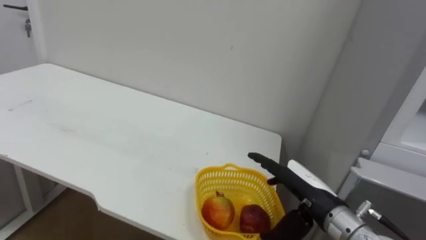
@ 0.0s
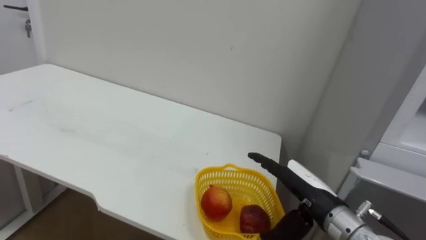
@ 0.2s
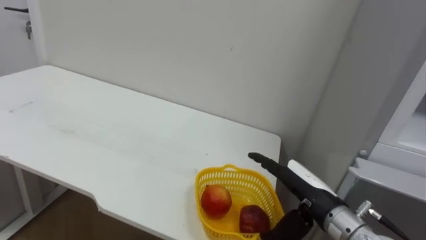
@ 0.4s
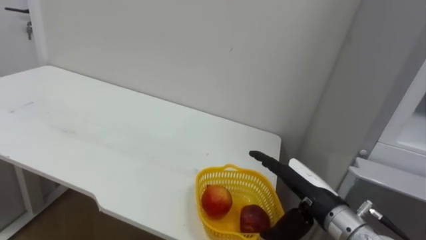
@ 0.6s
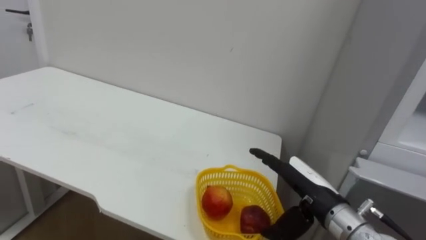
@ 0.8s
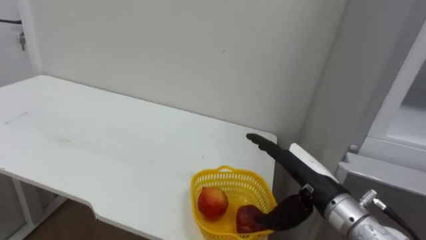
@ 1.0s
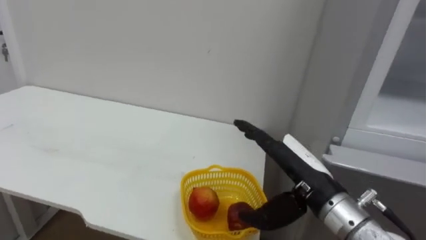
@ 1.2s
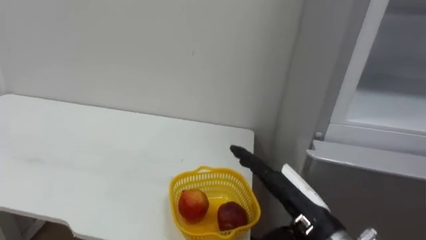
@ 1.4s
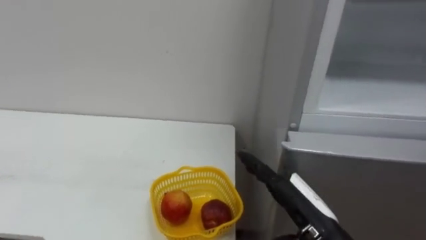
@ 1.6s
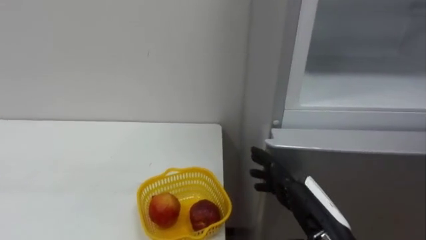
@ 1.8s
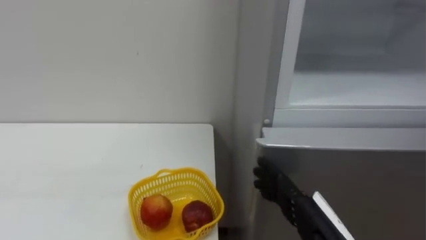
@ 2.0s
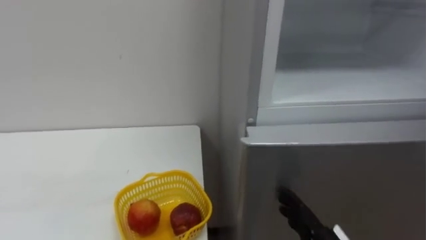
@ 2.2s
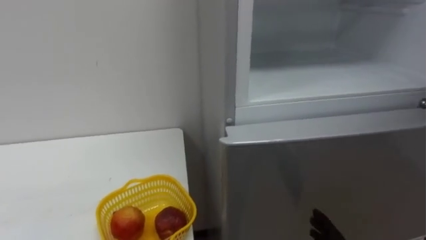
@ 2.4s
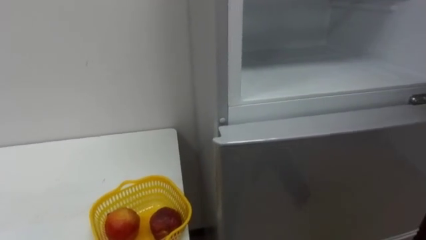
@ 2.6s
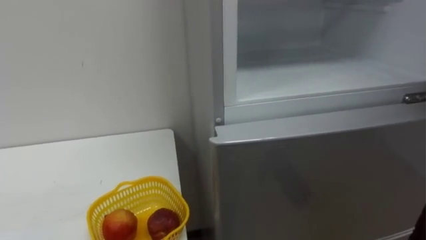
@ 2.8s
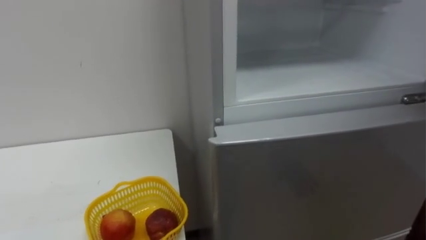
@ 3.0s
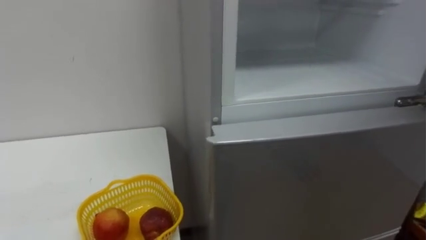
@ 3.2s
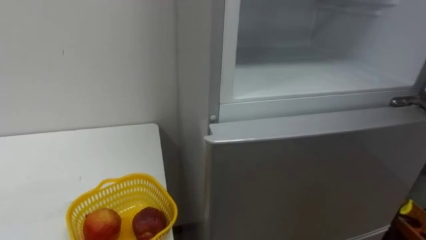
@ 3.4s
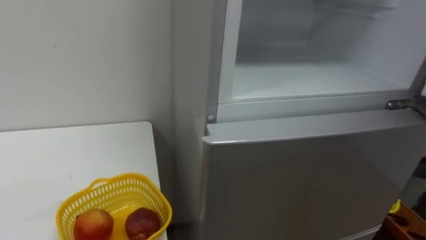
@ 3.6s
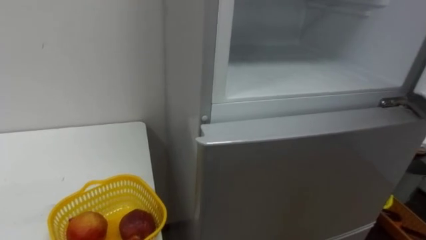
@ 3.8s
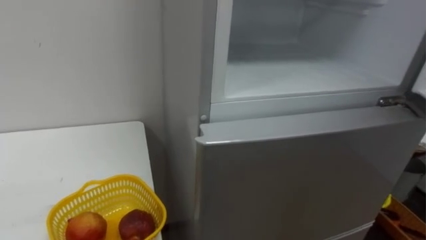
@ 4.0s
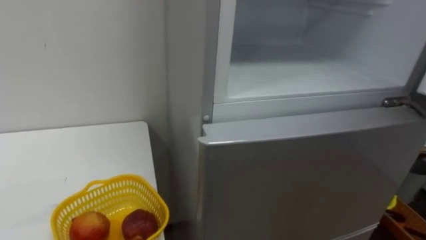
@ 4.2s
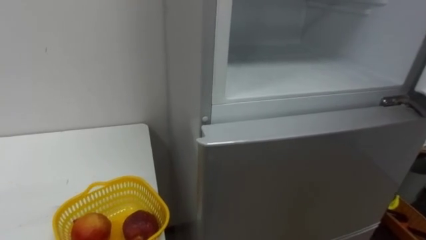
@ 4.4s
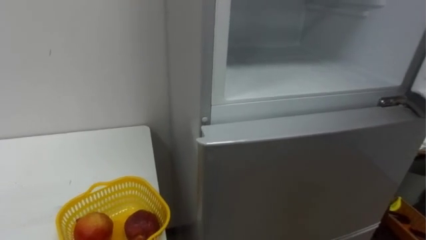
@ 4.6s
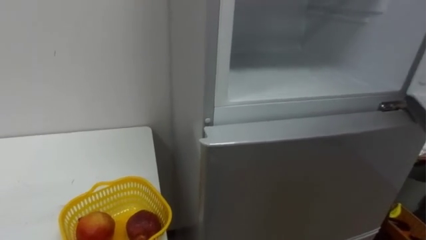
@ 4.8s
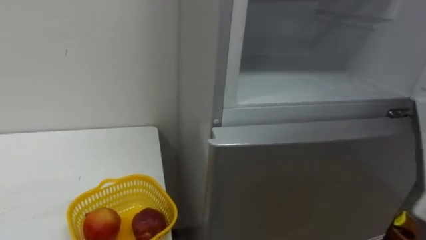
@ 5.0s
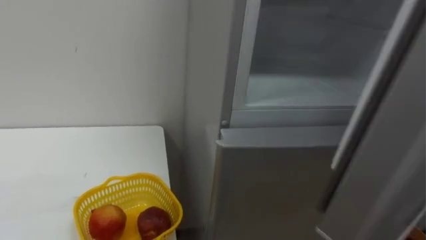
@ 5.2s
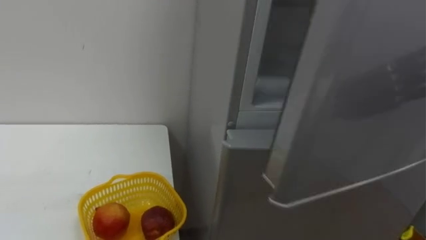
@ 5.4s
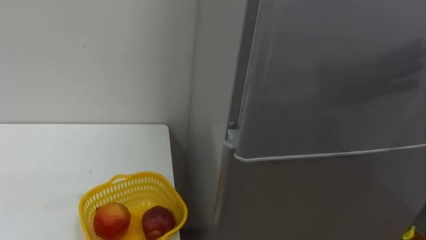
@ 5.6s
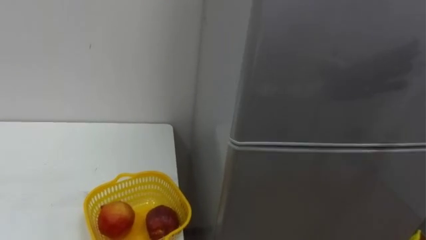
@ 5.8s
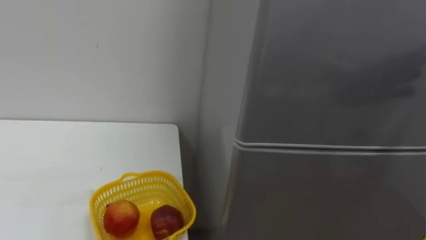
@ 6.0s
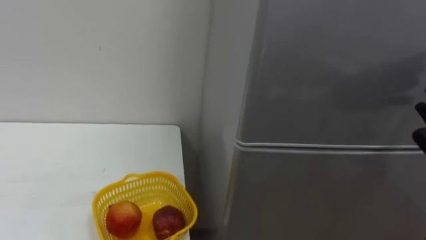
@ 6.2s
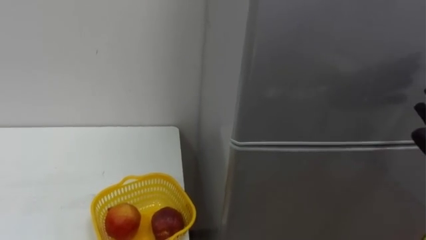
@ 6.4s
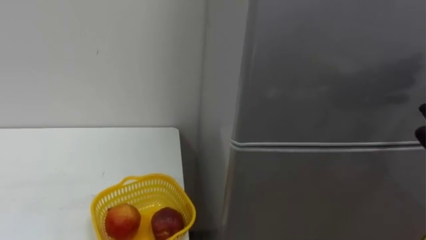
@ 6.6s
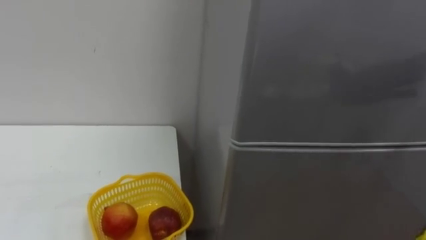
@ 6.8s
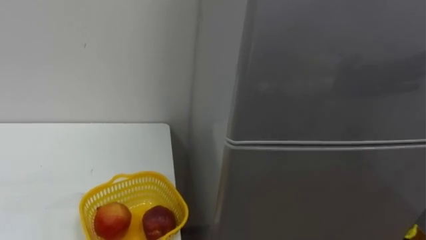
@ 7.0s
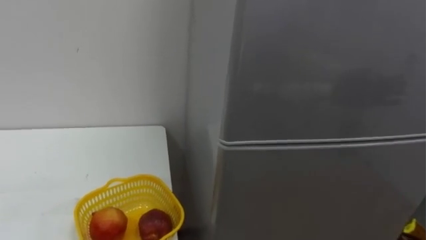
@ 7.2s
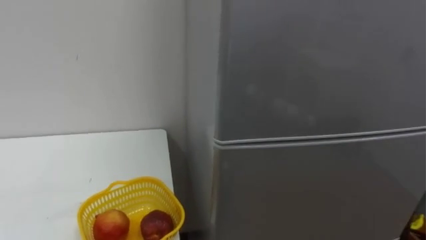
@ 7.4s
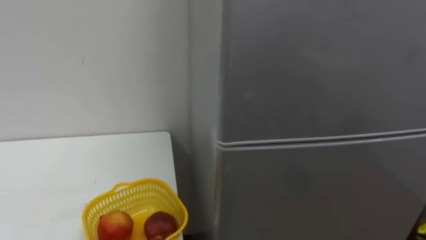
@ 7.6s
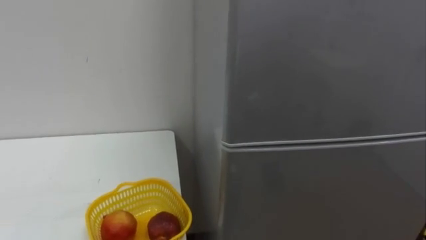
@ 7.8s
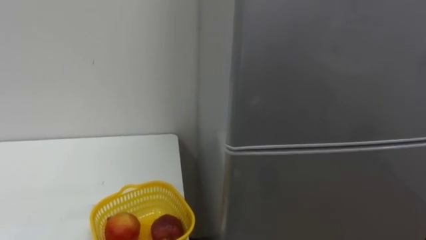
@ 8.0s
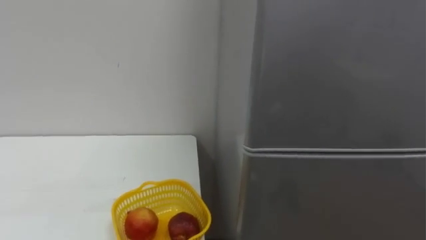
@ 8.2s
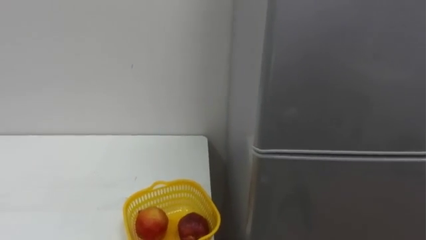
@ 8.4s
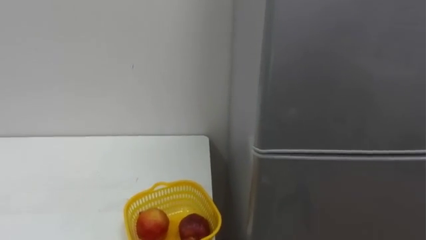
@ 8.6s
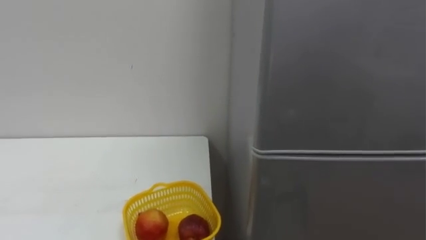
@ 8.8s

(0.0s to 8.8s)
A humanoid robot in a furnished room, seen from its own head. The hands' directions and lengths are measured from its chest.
Task of the whole recording: Open the refrigerator door, take out the apple and the pomegranate, place them in the fruit basket on the left, and close the refrigerator door.
0.0s - 1.4s: The right hand changes place by roughly 5 cm.

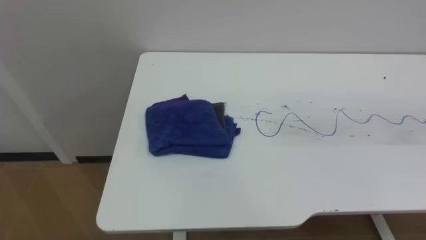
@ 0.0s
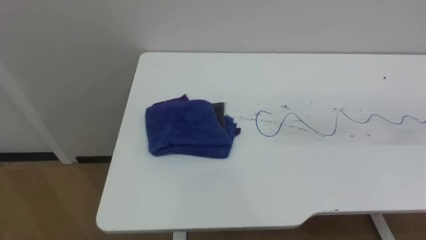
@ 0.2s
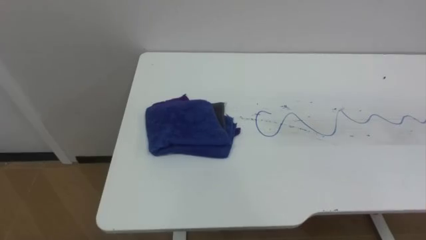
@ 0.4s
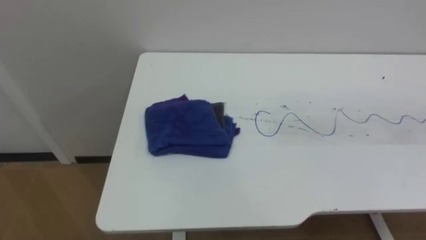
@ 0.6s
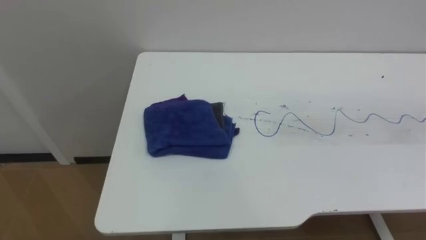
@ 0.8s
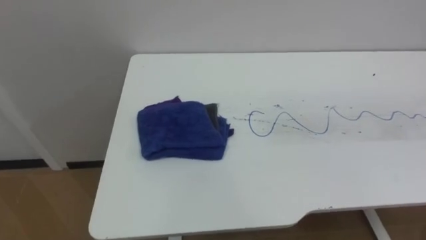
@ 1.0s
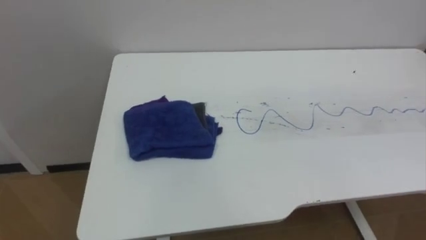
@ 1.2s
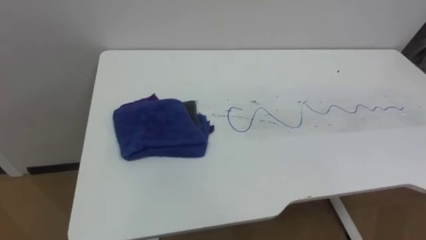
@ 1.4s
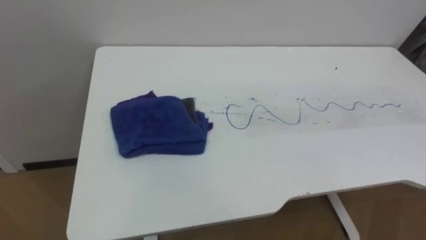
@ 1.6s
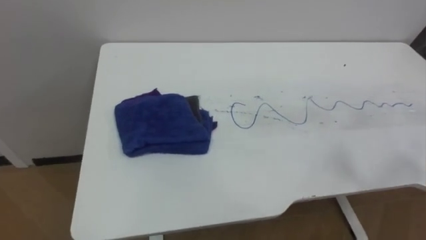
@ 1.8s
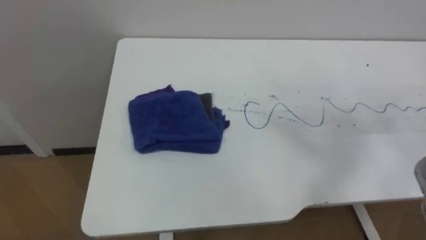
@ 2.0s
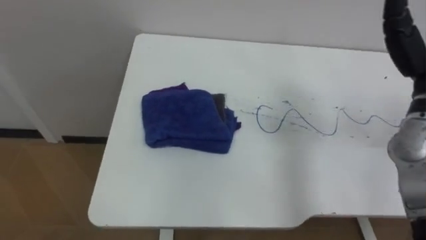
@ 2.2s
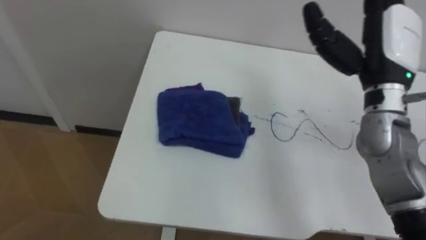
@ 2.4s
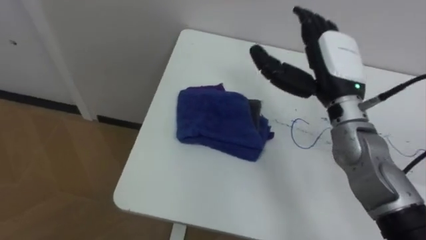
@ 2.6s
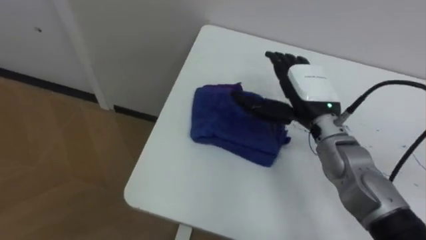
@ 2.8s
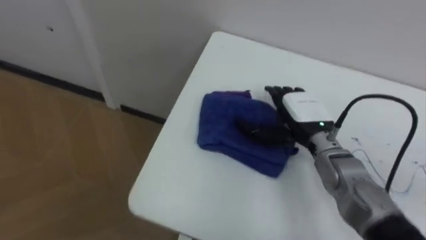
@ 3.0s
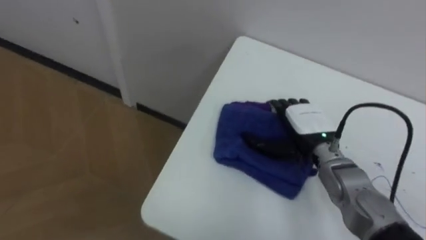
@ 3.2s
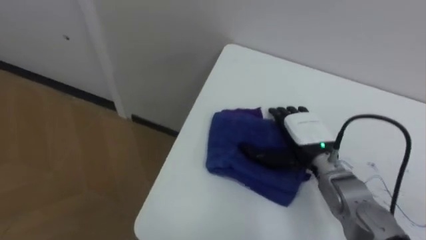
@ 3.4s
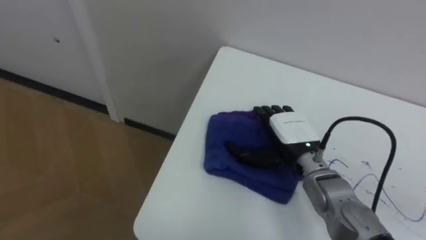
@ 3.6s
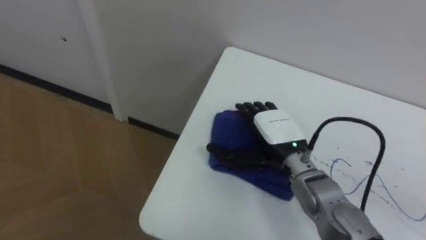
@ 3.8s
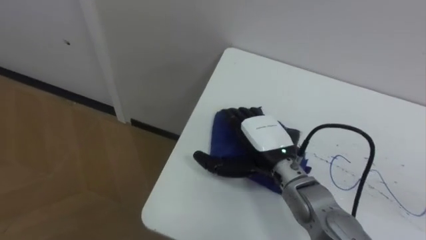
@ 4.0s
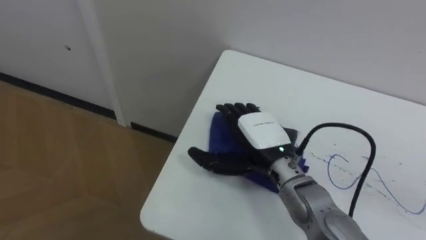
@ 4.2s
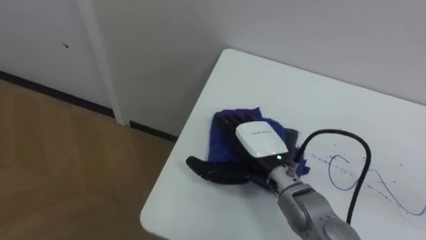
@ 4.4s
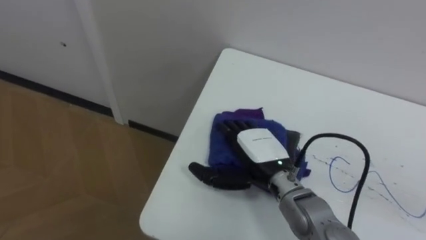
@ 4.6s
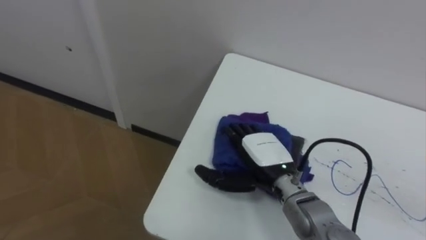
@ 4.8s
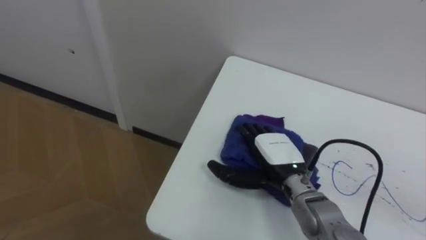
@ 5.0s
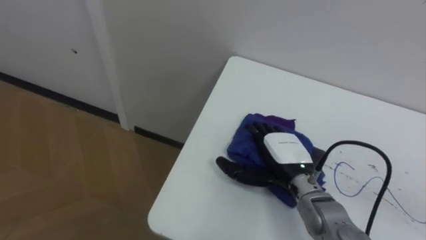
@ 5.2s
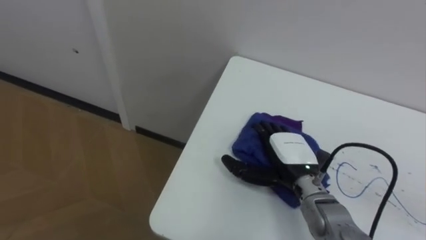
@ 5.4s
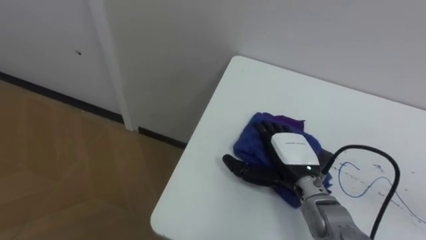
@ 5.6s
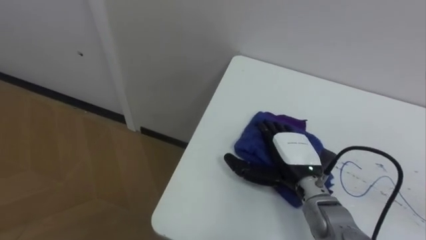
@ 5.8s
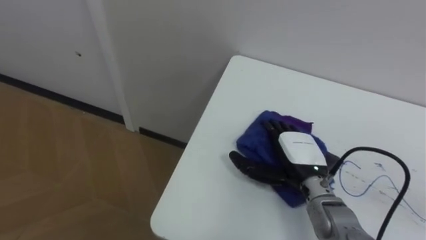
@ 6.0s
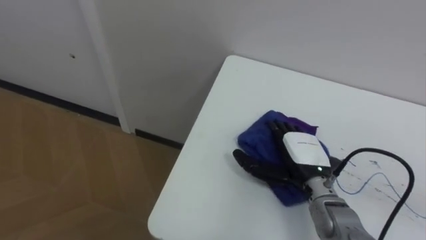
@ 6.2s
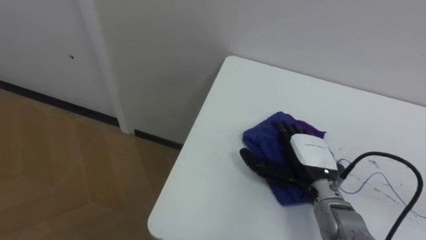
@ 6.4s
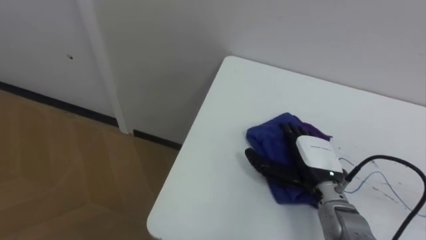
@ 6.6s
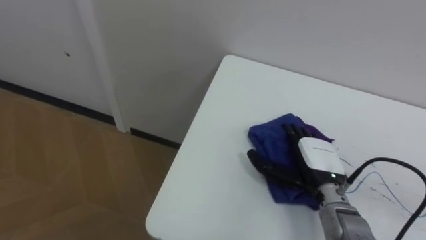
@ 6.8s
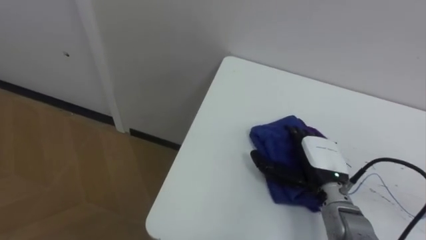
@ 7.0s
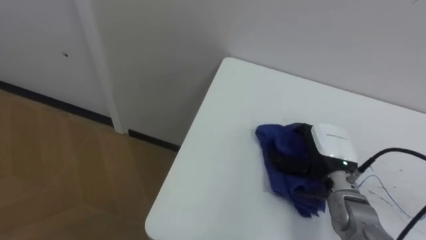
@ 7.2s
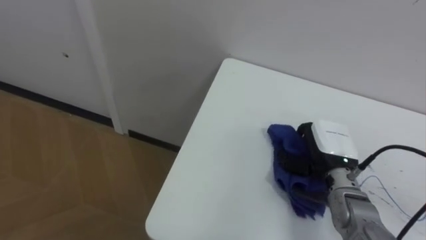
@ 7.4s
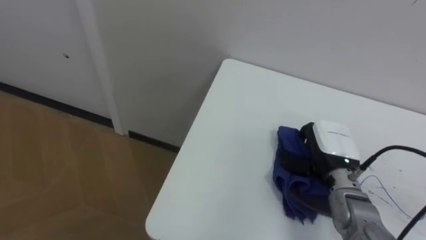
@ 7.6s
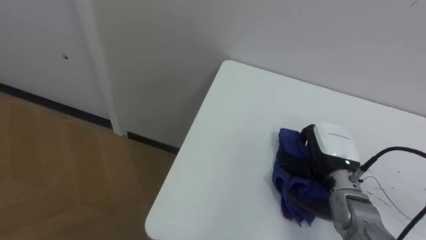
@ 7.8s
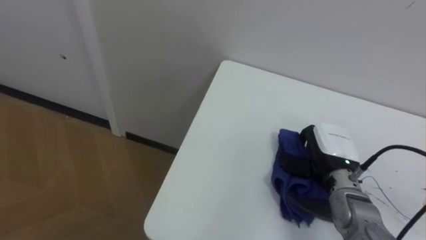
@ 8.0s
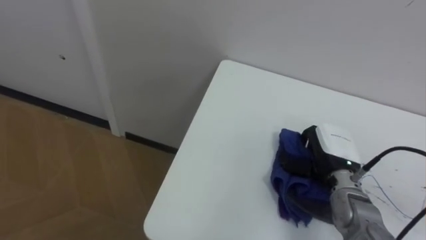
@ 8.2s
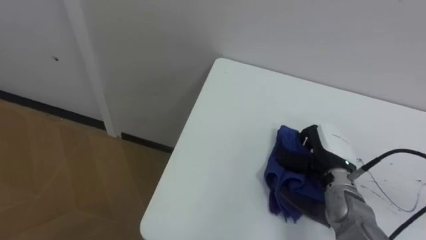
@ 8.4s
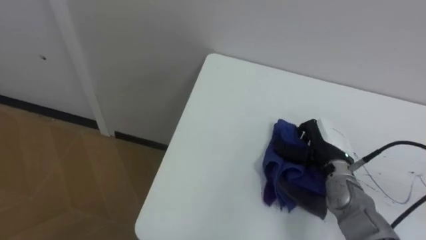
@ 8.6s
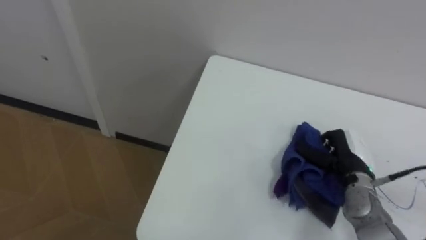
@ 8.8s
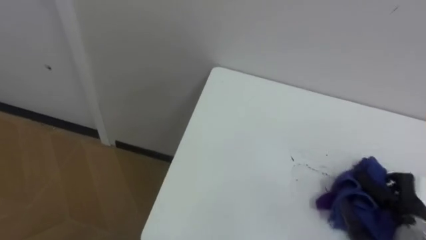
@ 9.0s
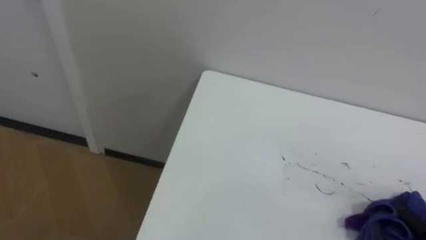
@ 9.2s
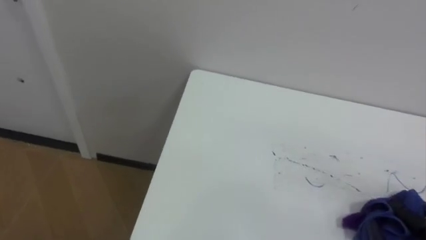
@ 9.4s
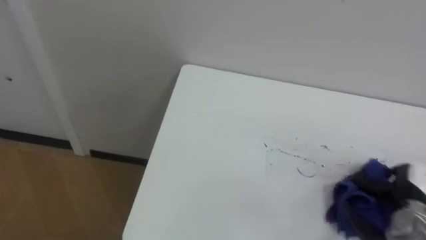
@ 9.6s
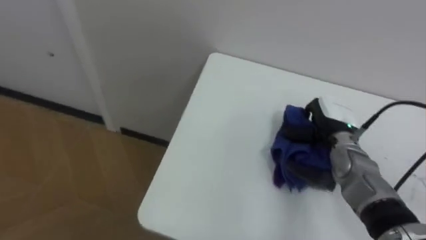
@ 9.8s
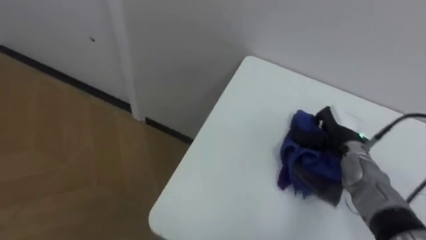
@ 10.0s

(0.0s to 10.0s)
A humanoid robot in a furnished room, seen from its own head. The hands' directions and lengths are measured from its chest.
Task of the whole recording: Wipe the blue pen marks off the table with the rag.
2.8s - 4.2s: The right hand travels to the left, downward and backward by approximately 10 cm.
4.2s - 5.8s: The right hand is displaced to the right and downward by about 10 cm.
5.8s - 7.2s: The right hand moves to the right, roughly 5 cm, and closes its fingers.
7.2s - 8.6s: The right hand closes up.
